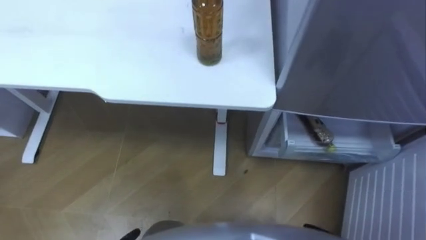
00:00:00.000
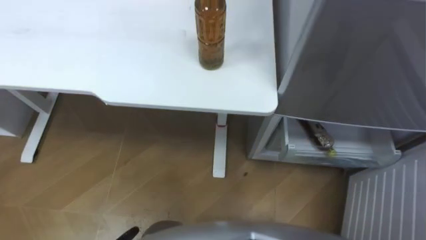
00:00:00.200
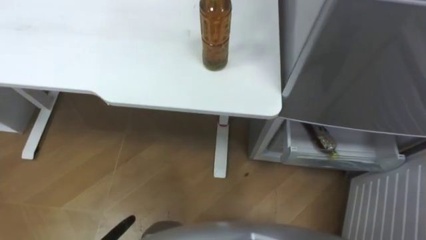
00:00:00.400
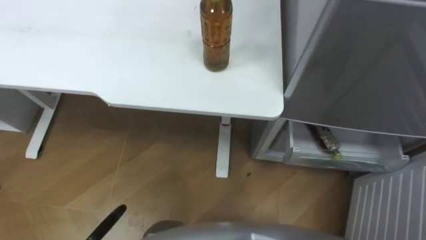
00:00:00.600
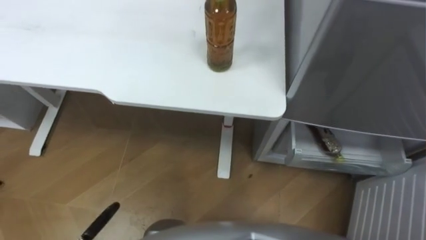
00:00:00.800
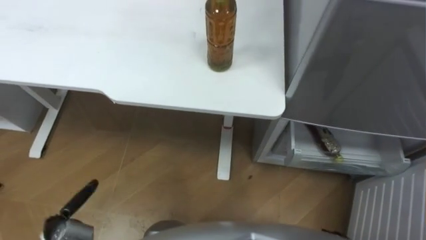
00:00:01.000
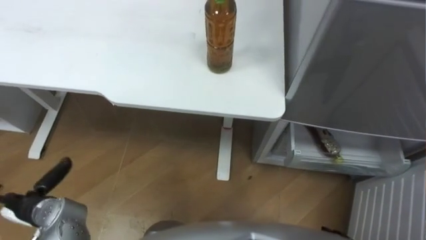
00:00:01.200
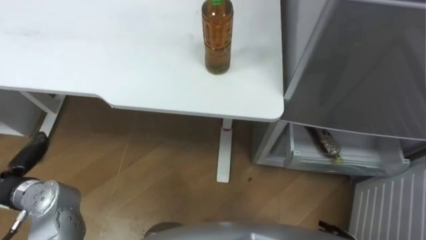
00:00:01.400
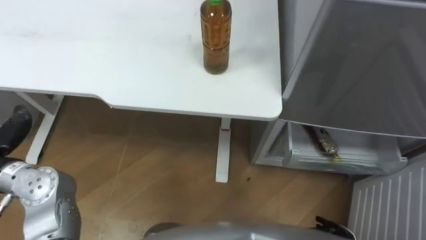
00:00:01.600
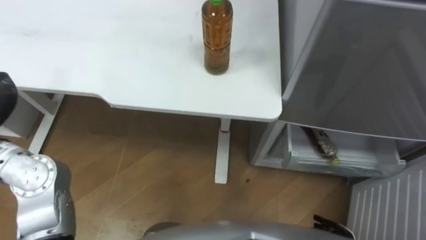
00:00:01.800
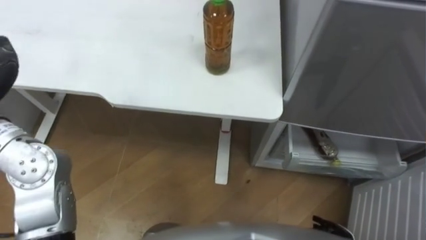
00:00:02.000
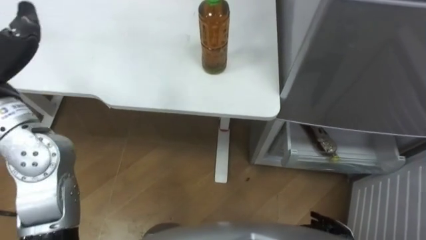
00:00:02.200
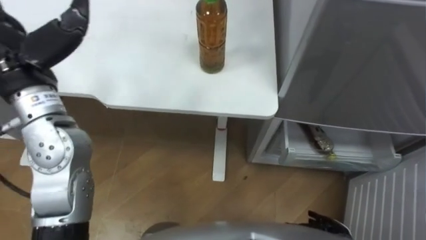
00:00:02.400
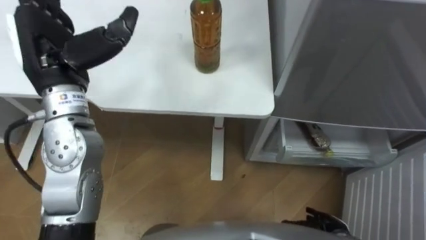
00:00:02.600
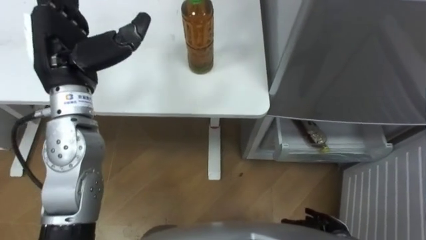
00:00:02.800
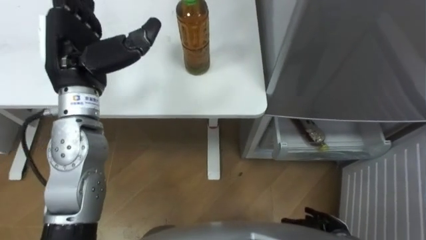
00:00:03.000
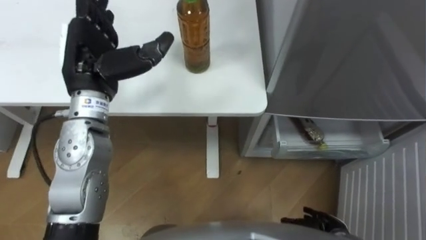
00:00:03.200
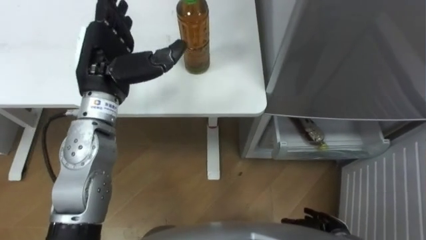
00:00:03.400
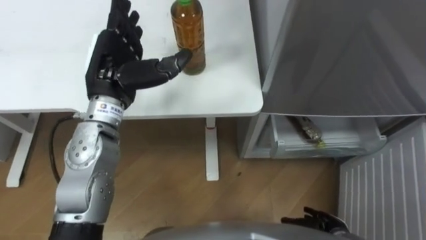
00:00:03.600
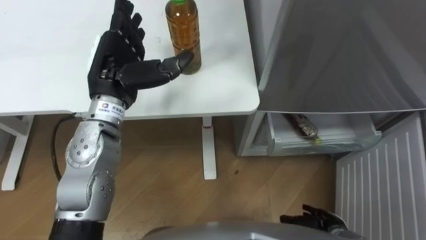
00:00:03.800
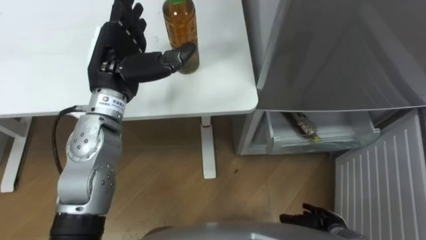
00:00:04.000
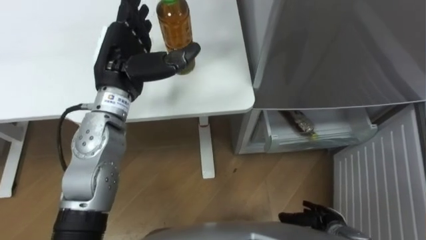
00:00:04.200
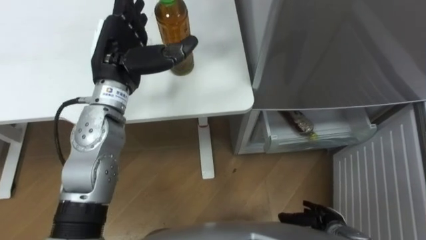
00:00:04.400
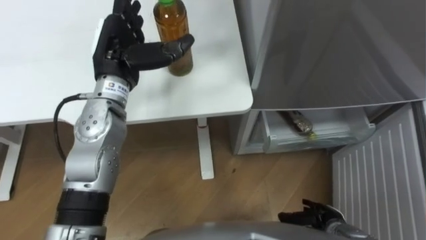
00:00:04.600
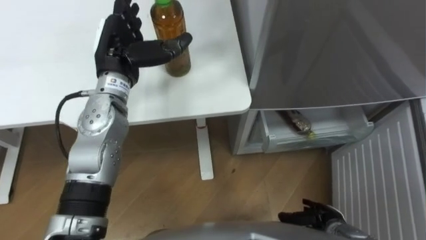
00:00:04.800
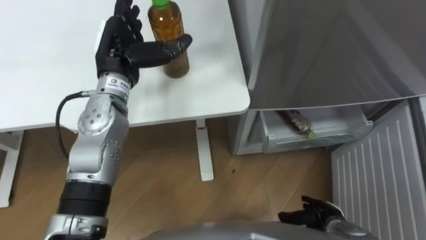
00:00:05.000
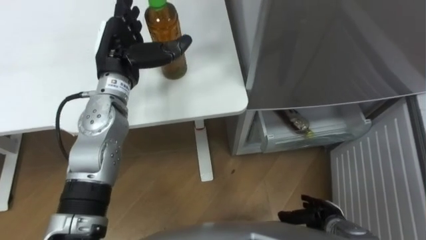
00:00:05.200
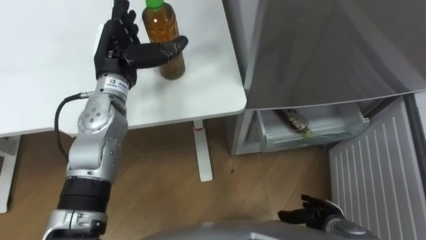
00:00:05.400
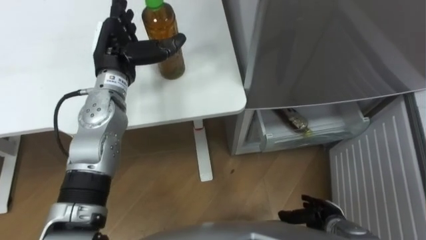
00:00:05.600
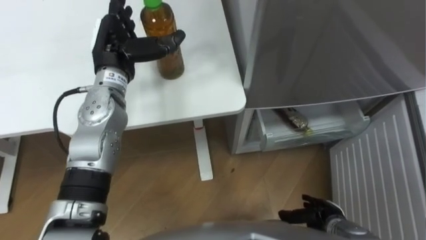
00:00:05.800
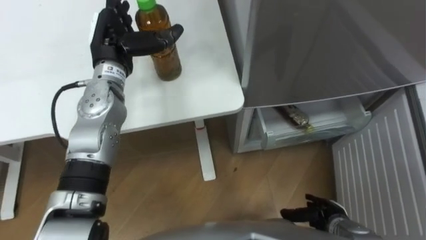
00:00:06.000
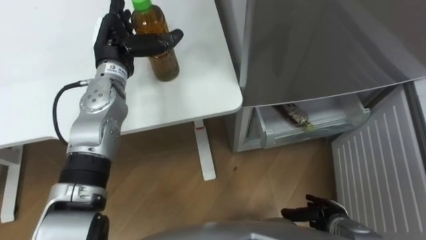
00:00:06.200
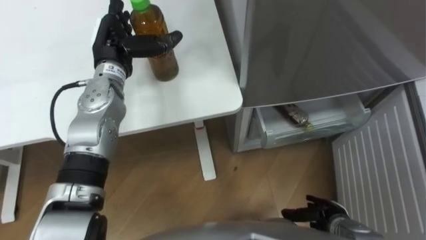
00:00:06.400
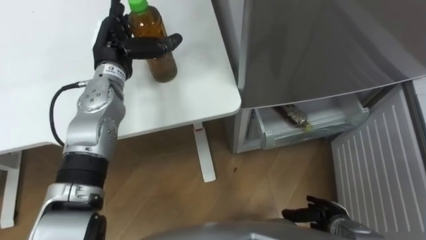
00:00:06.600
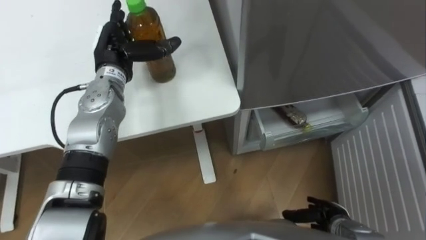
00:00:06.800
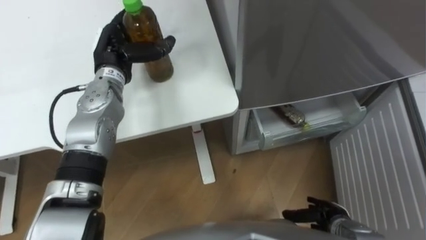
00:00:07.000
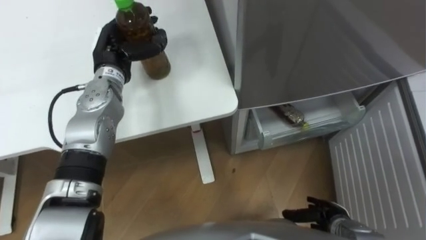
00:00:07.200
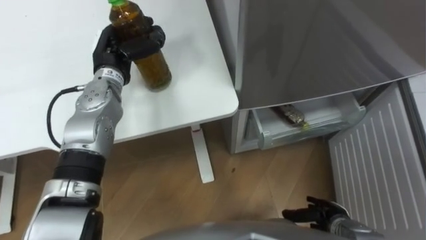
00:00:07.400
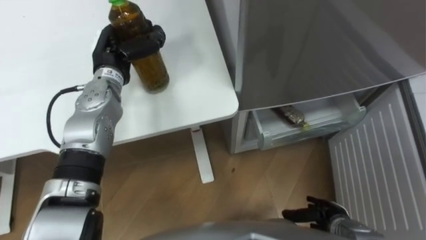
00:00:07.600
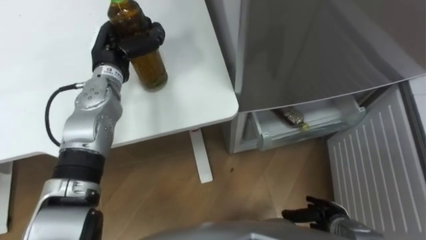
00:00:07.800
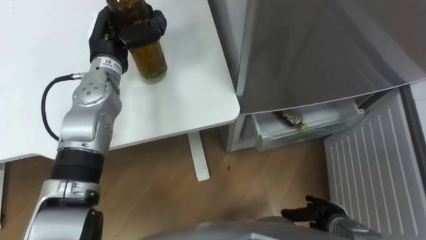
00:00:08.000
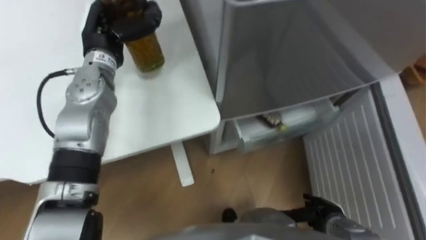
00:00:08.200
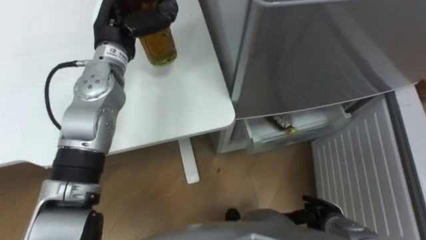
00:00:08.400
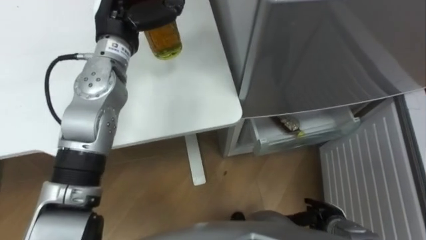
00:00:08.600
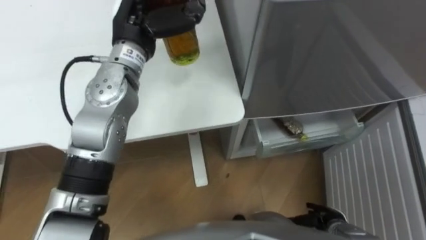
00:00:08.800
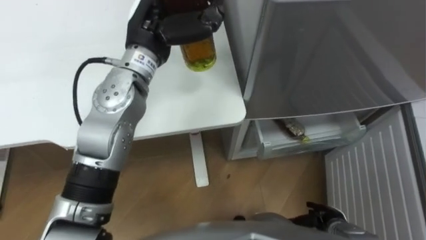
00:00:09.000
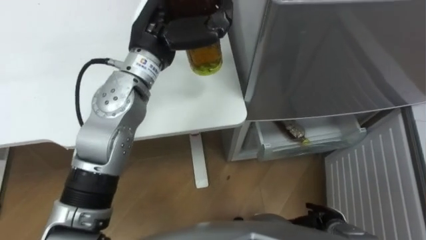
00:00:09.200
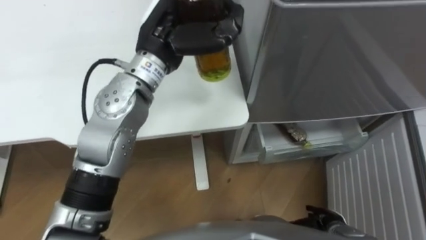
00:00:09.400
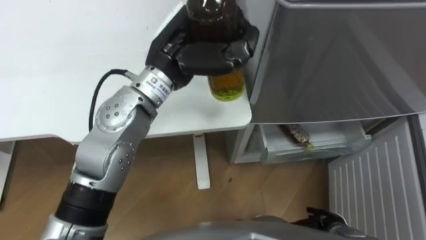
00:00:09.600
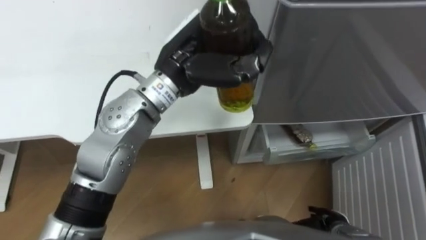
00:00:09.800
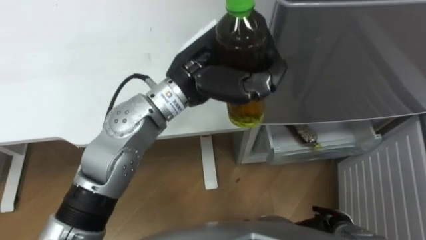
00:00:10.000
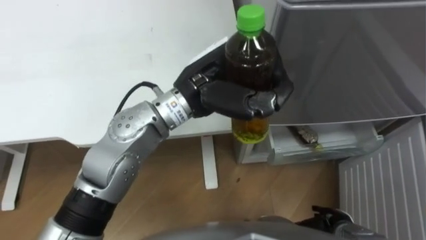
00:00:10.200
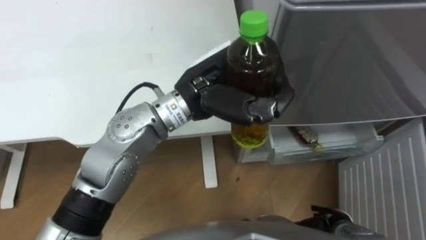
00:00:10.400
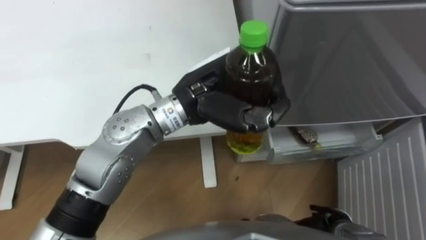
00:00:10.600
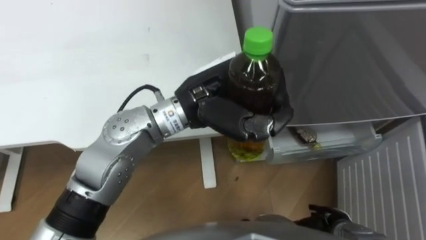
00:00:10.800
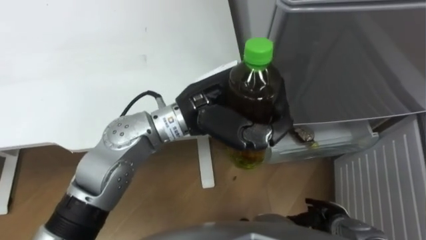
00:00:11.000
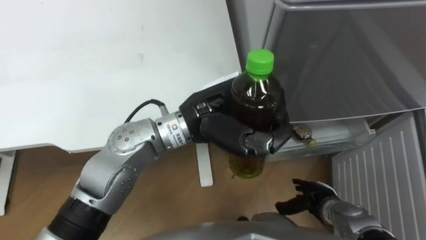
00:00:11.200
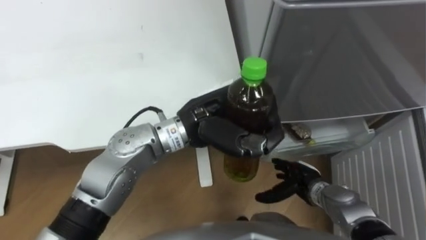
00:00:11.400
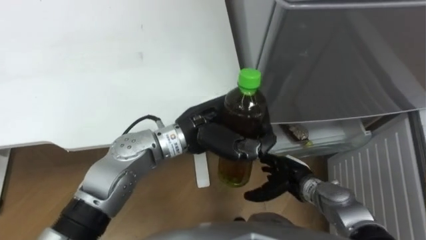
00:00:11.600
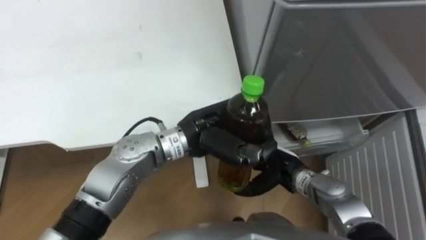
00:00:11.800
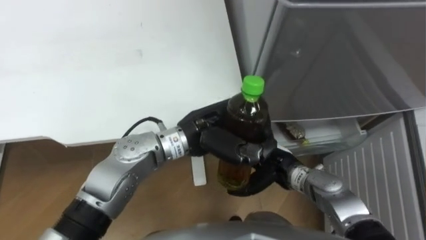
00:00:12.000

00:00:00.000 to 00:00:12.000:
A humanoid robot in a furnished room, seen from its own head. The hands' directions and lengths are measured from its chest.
Task of the whole recording: Place the drink on the table on the bottom shelf of the refrigerator, then close the drawer and the refrigerator door.
00:00:03.000 to 00:00:04.400: The left hand is displaced to the right by roughly 5 cm.
00:00:04.400 to 00:00:06.000: The left hand shifts by about 5 cm.
00:00:06.000 to 00:00:07.600: The left hand closes its fingers.
00:00:07.600 to 00:00:09.000: The left hand heads upward and to the right, covering approximately 15 cm.
00:00:09.000 to 00:00:10.400: The left hand is displaced to the right and backward by about 15 cm.
00:00:10.400 to 00:00:12.000: The left hand shifts about 10 cm downward. The right hand heads to the left, forward and upward, covering approximately 20 cm.

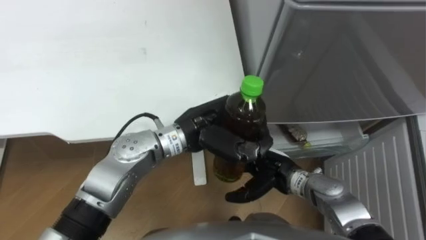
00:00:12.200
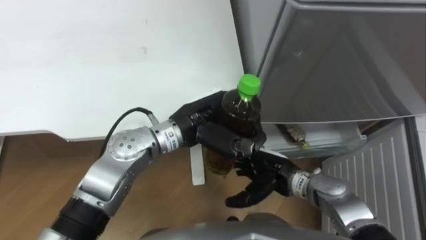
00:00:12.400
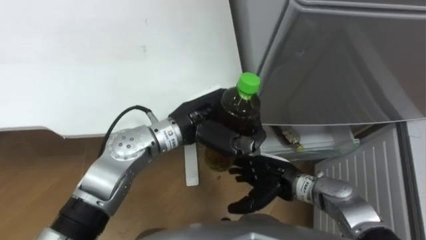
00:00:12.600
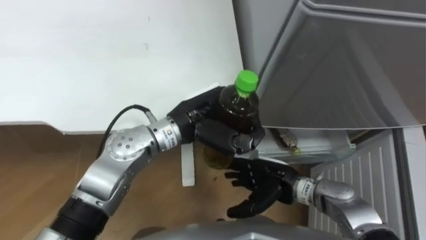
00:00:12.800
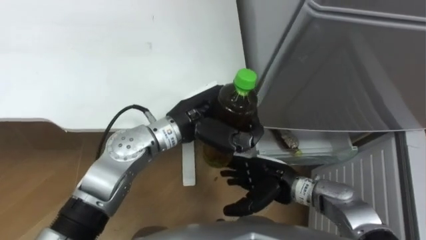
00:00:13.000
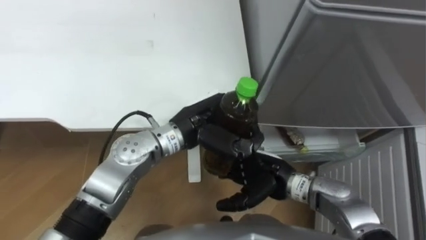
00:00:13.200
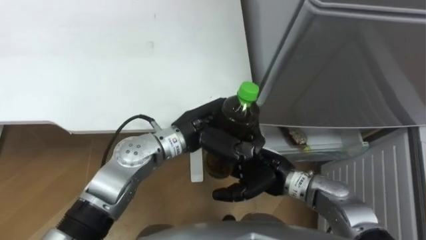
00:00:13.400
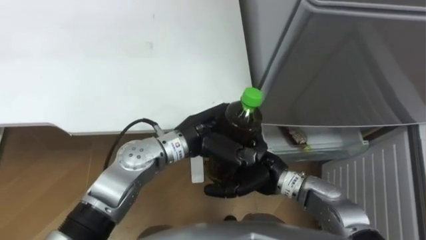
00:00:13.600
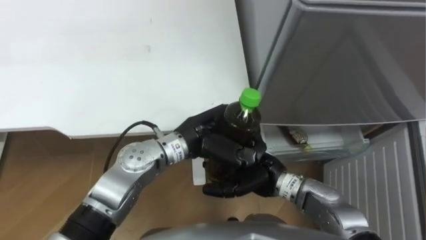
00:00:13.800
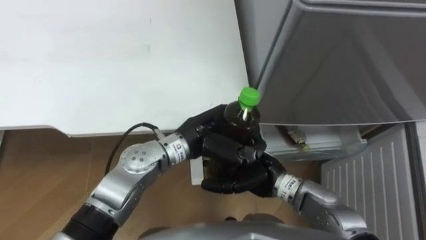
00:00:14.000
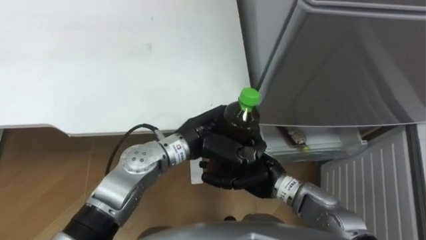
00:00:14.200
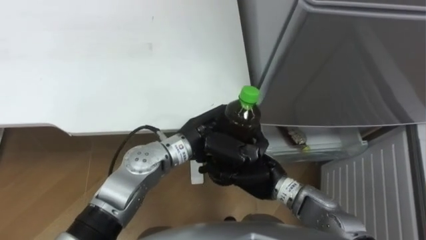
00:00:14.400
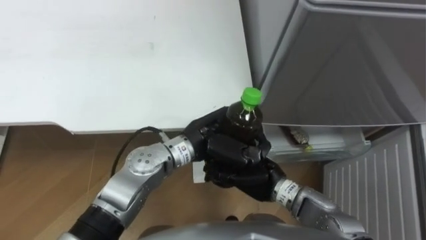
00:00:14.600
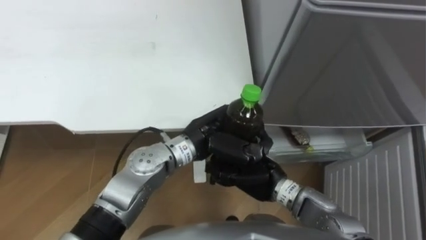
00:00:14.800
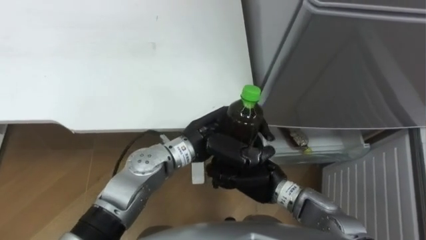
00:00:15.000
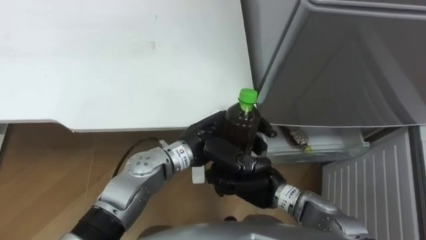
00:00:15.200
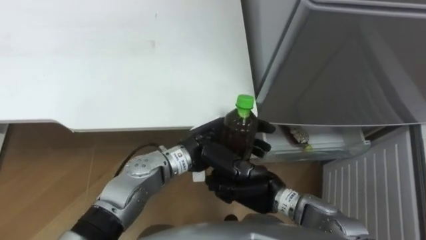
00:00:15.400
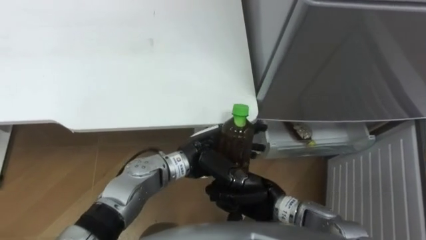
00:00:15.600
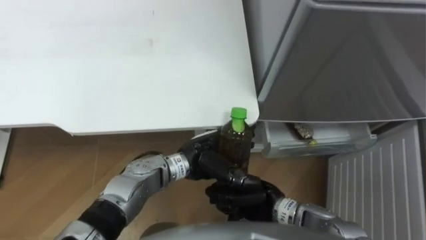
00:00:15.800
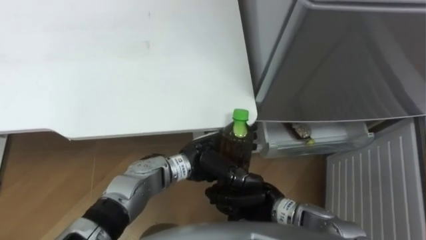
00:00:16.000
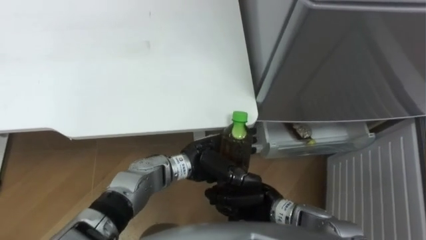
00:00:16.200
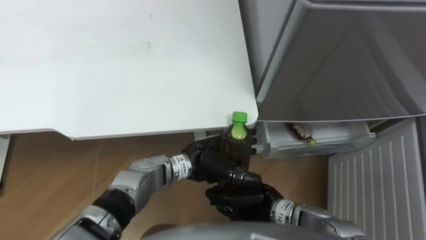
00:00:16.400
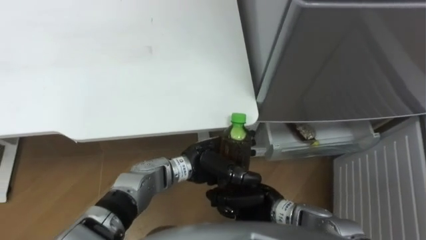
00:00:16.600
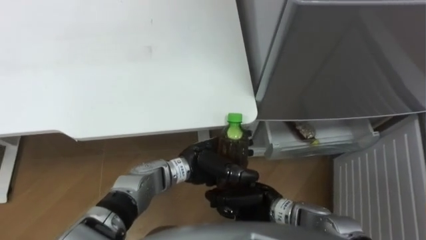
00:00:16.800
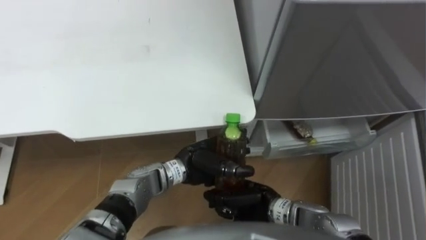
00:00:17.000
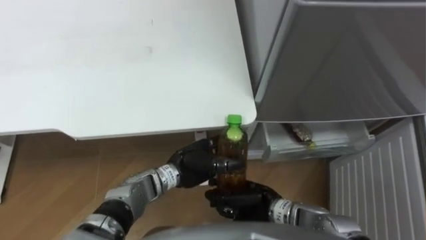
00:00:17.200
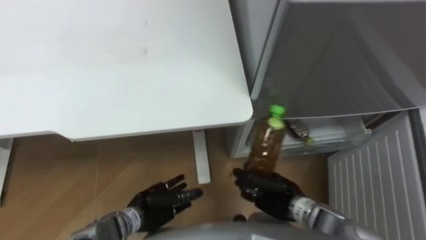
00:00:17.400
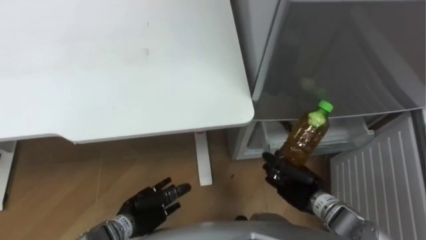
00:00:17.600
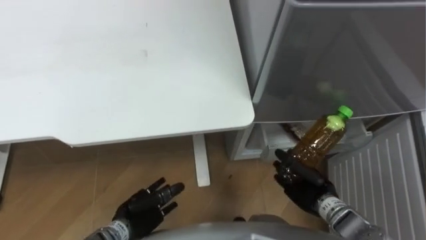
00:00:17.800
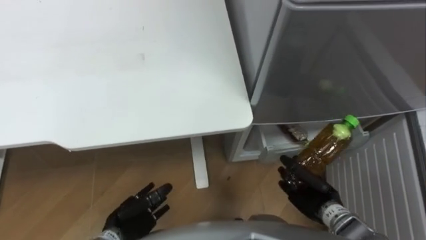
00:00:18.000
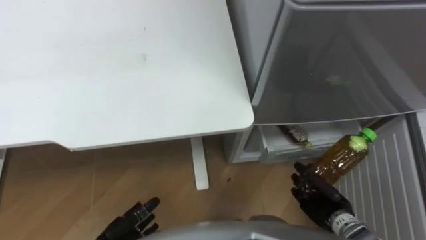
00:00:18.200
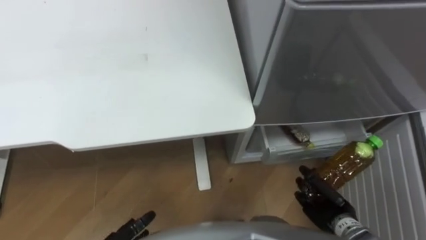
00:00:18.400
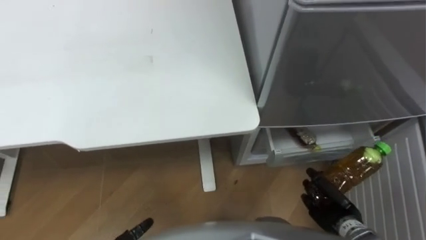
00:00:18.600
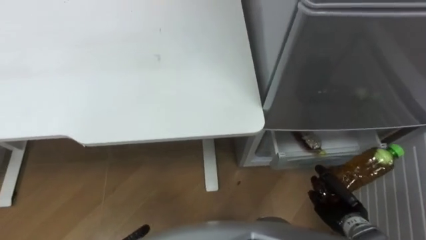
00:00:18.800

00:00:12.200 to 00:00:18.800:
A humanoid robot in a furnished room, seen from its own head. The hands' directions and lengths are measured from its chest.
Task of the whole recording: Place the drink on the table on the bottom shelf of the refrigerator, then close the drawer and the refrigerator door.
00:00:12.200 to 00:00:13.800: The right hand shifts by about 5 cm.
00:00:13.800 to 00:00:15.400: The left hand opens up, while the right hand closes its fingers.
00:00:15.400 to 00:00:17.200: The left hand moves downward, approximately 10 cm.
00:00:17.200 to 00:00:18.800: The right hand travels to the right by approximately 20 cm.
